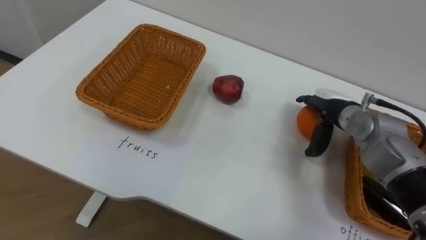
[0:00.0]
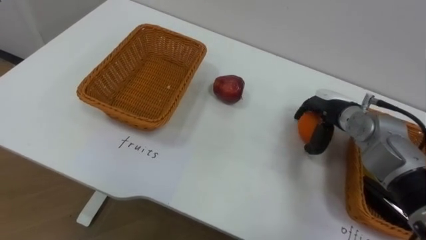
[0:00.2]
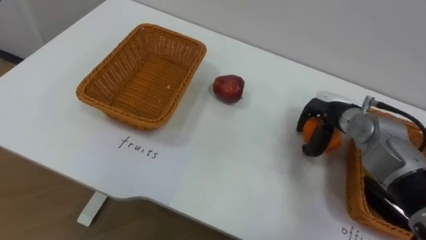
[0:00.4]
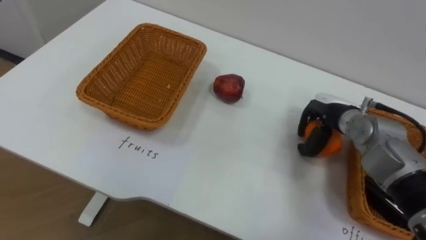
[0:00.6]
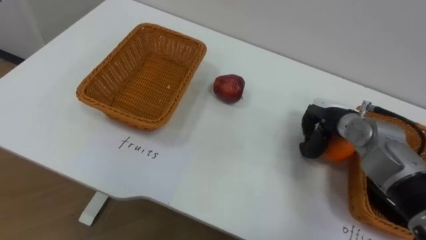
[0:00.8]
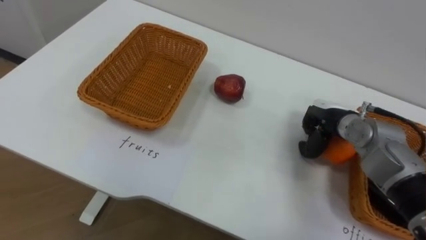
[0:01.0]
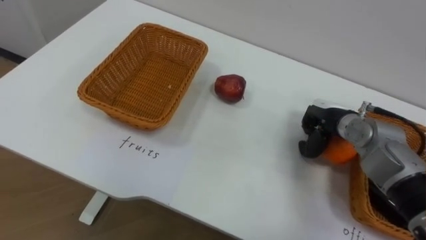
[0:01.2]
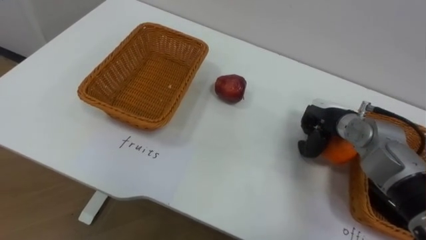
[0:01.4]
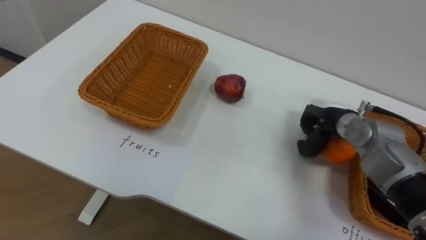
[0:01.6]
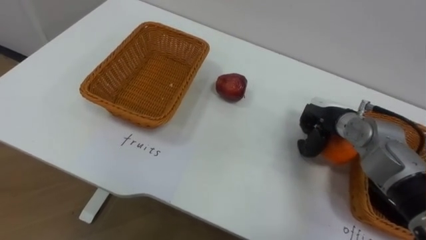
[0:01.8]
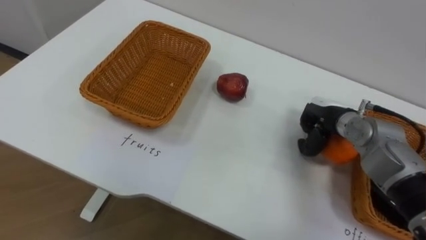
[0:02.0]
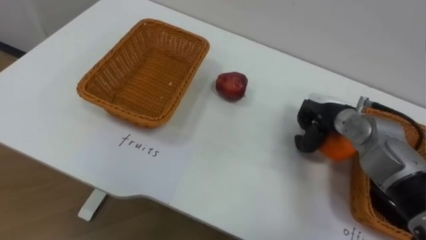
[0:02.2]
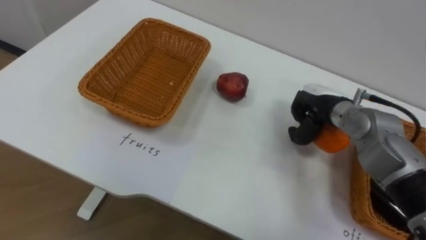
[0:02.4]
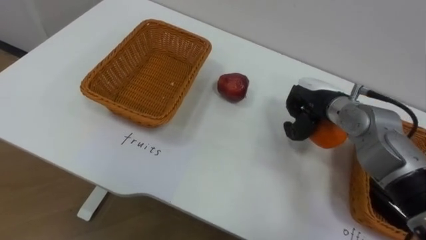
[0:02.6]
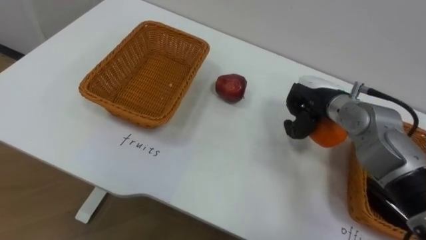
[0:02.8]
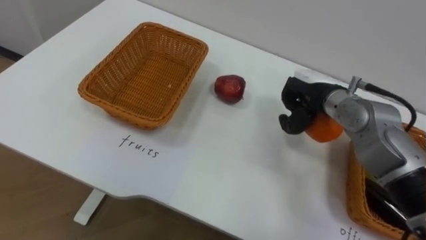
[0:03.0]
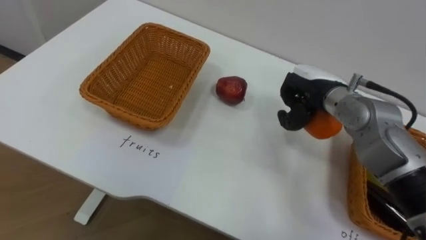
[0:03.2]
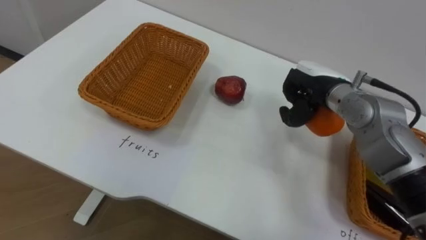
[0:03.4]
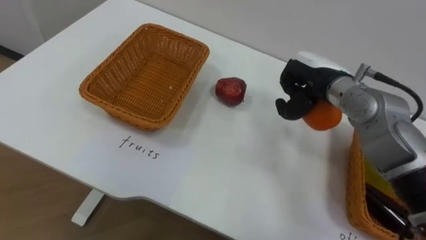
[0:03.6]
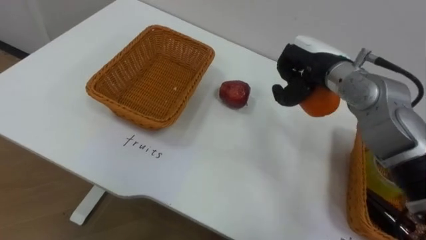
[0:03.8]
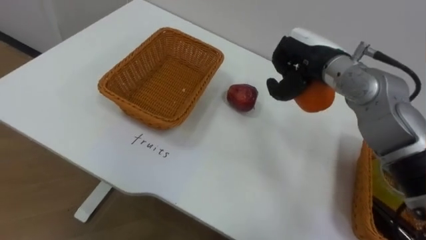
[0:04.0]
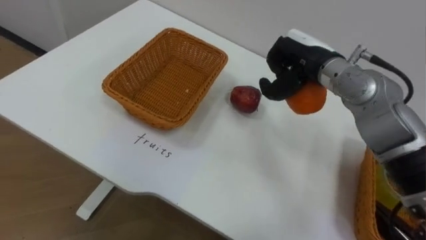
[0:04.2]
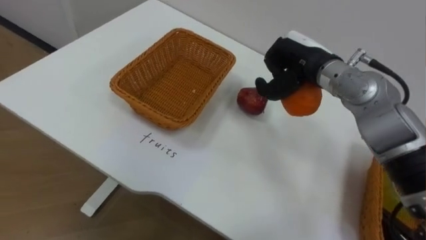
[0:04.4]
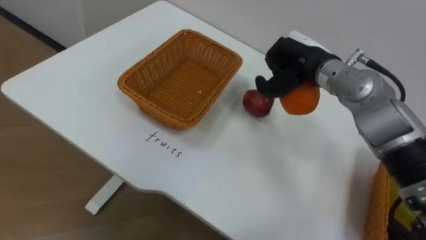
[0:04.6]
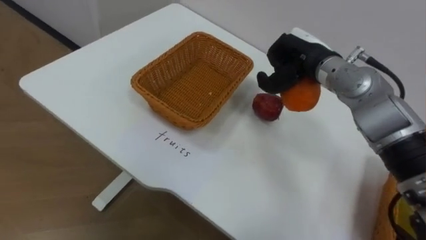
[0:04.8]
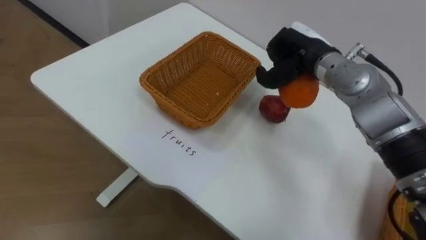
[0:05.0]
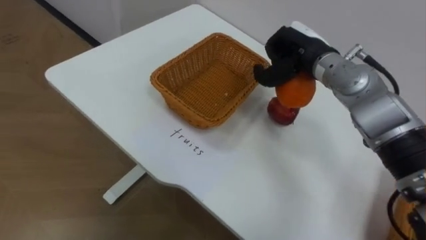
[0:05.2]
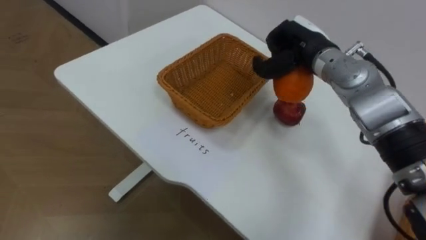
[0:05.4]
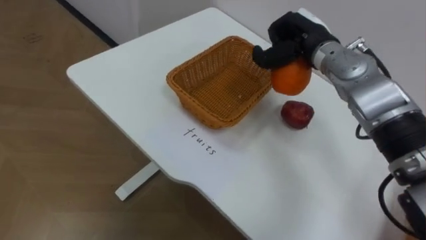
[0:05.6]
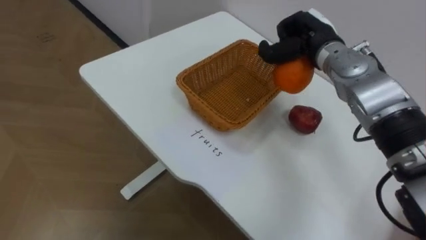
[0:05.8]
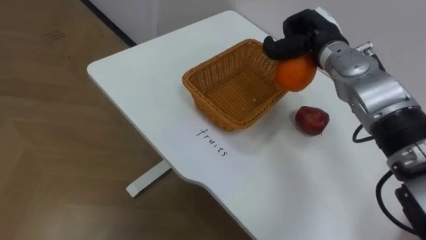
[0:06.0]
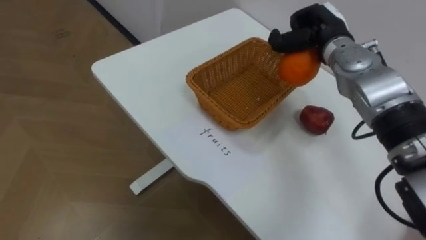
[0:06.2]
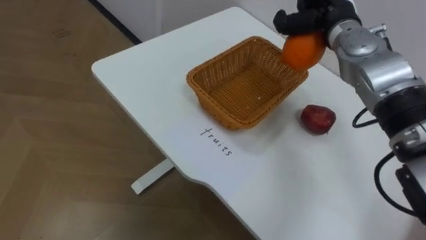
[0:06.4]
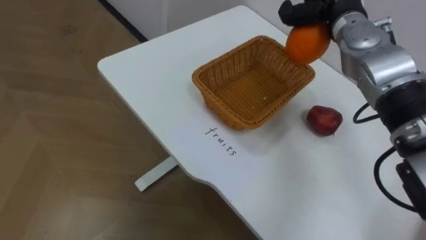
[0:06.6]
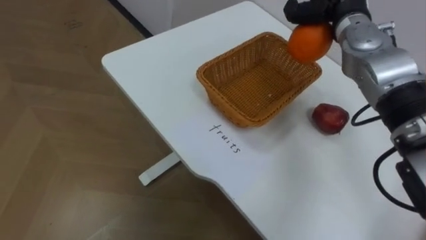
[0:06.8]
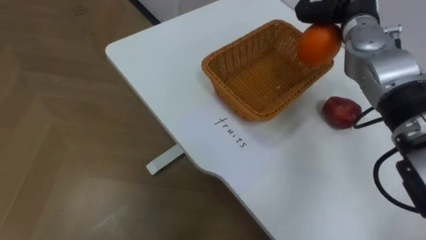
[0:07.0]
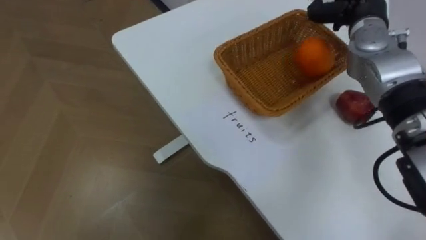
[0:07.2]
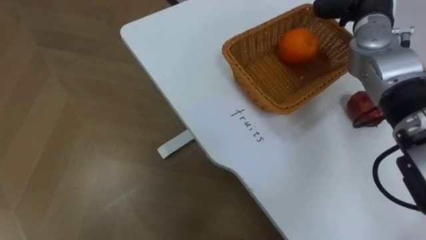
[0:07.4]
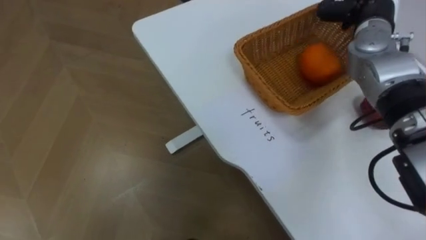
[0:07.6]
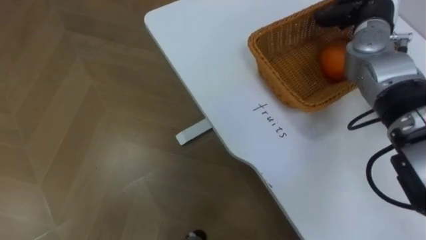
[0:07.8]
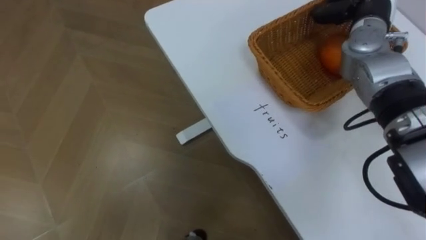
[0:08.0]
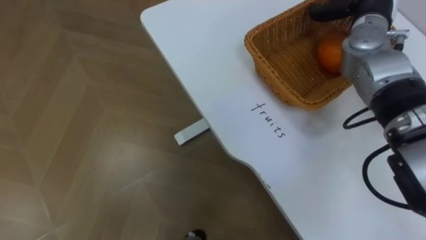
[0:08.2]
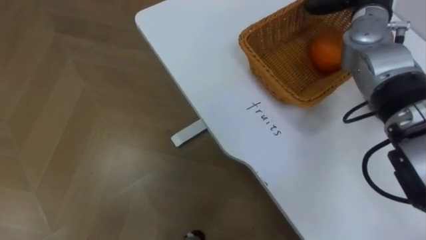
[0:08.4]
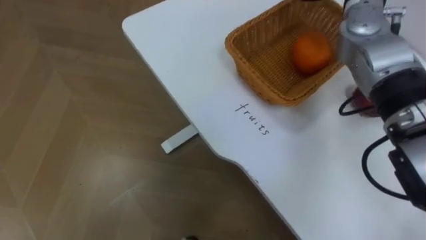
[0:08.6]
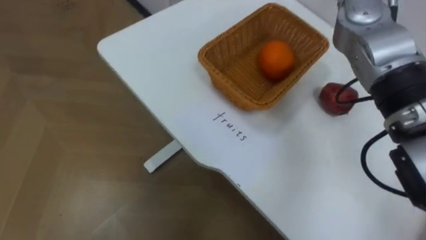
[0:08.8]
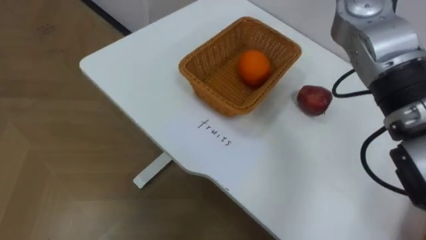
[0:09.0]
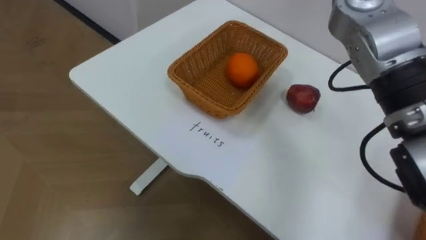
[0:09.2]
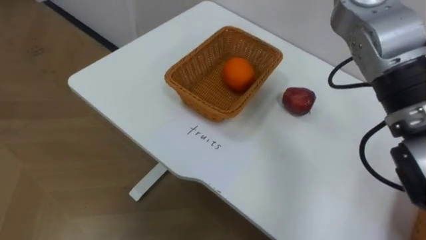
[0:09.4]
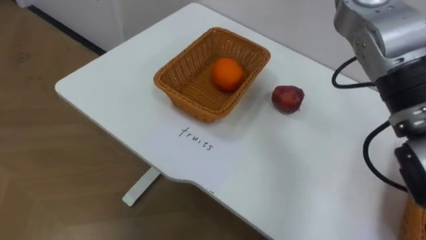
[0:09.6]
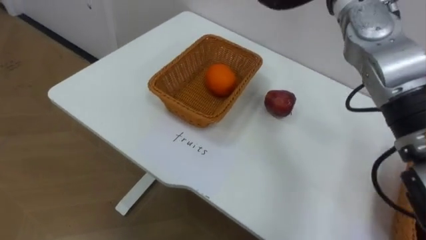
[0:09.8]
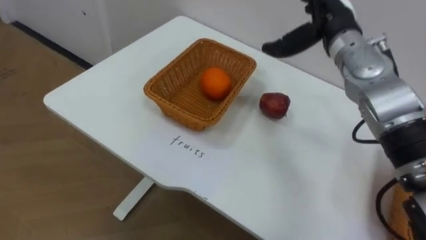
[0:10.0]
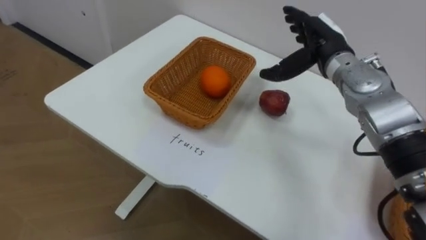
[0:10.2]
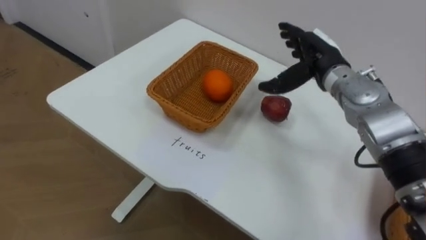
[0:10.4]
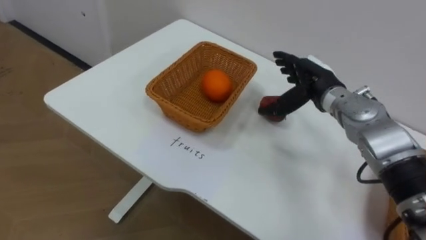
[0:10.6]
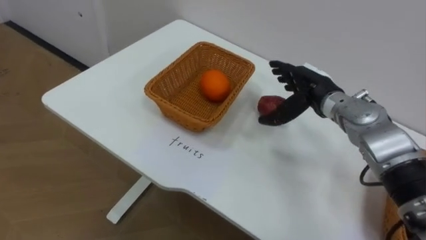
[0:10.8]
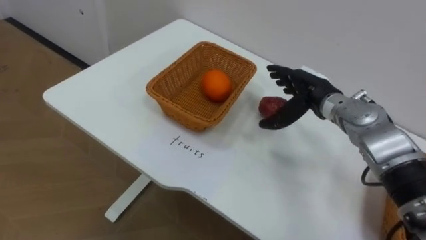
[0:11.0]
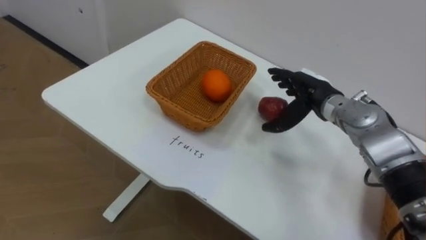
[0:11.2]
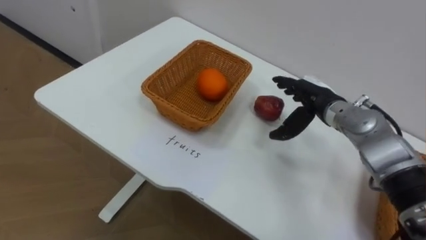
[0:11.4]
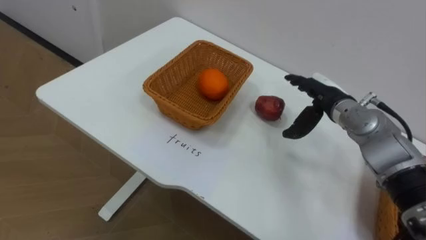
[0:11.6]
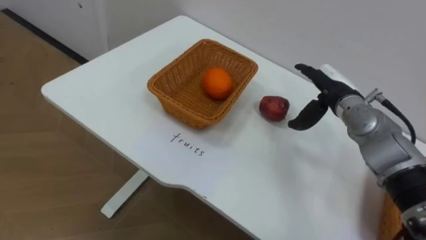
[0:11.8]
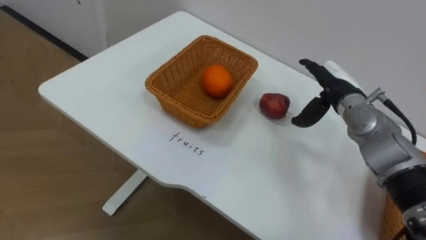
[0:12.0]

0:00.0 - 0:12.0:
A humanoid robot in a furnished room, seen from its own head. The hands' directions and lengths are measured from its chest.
Task of the whole recording: Separate the items on the table and place them into the two baskets.
0:00.0 - 0:01.6: The right hand closes its fingers.
0:01.6 - 0:03.0: The right hand is displaced upward by some 5 cm.
0:03.0 - 0:04.4: The right hand heads upward, covering some 5 cm.
0:04.4 - 0:06.0: The right hand moves some 5 cm.
0:10.4 - 0:12.0: The right hand heads downward, covering some 5 cm.

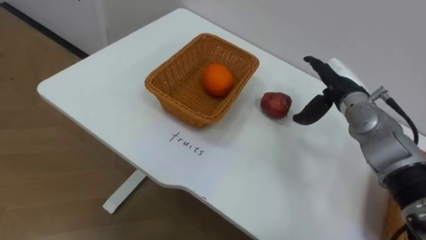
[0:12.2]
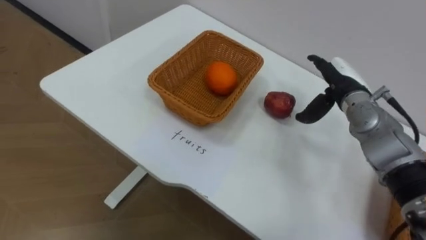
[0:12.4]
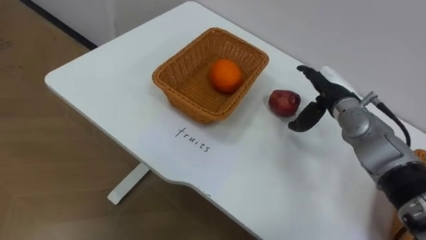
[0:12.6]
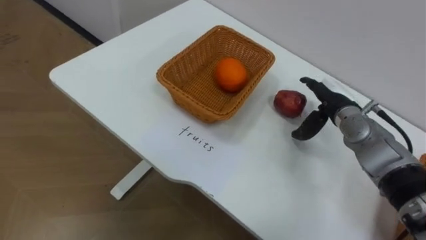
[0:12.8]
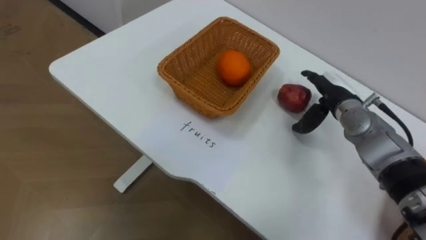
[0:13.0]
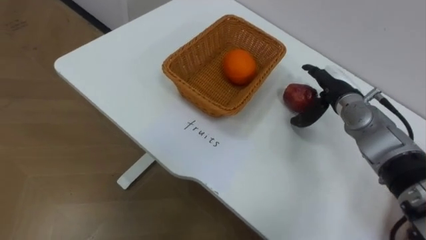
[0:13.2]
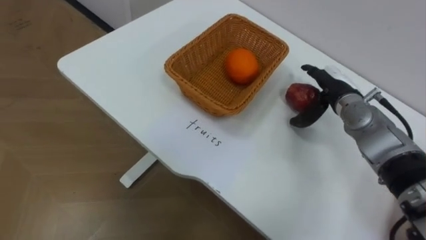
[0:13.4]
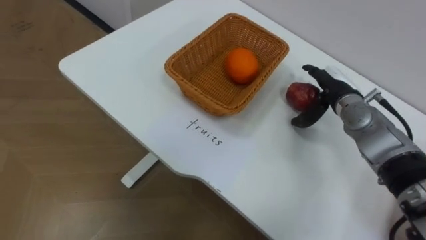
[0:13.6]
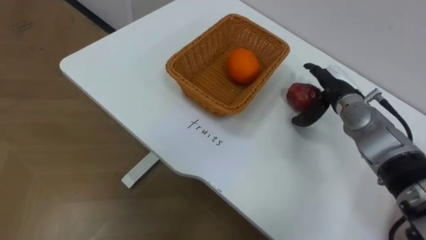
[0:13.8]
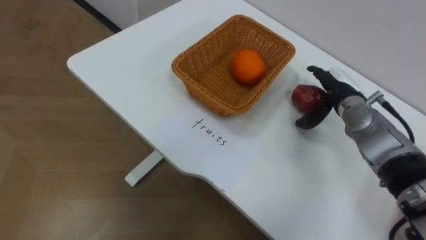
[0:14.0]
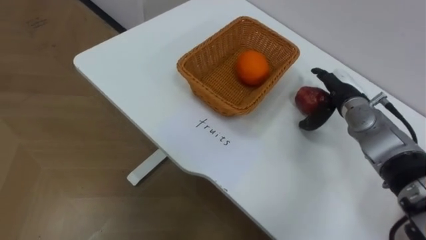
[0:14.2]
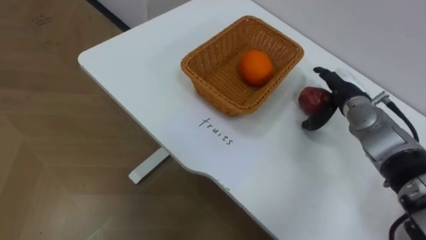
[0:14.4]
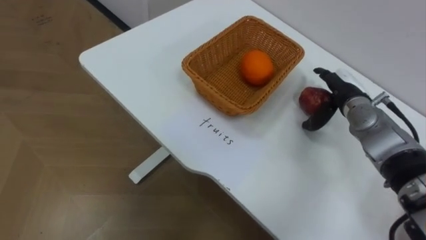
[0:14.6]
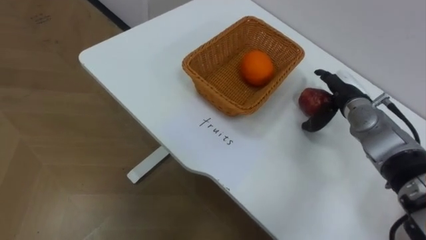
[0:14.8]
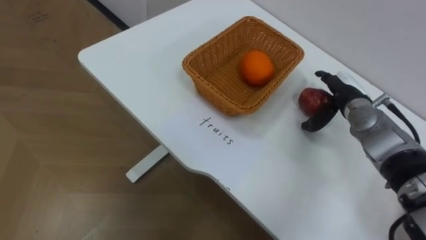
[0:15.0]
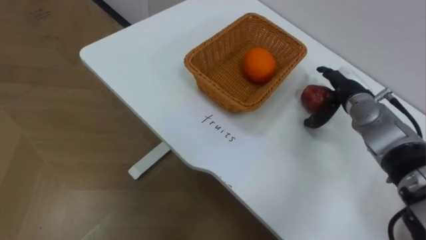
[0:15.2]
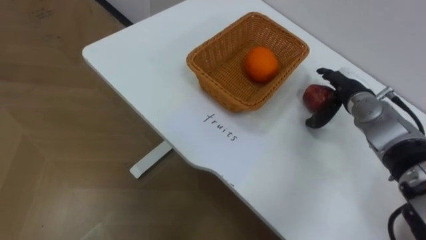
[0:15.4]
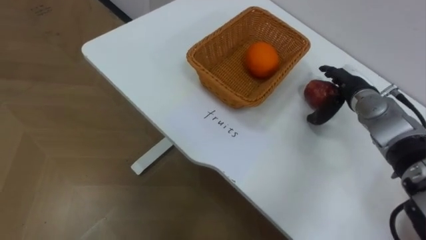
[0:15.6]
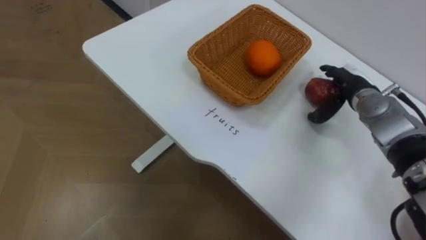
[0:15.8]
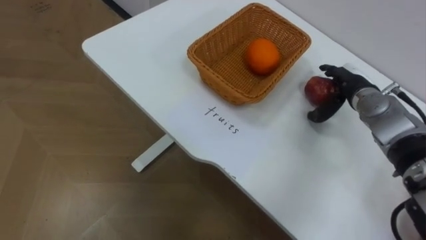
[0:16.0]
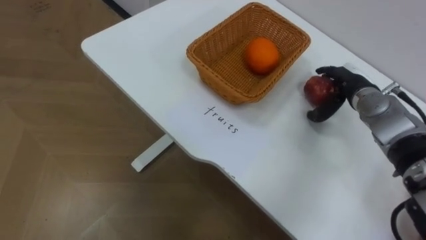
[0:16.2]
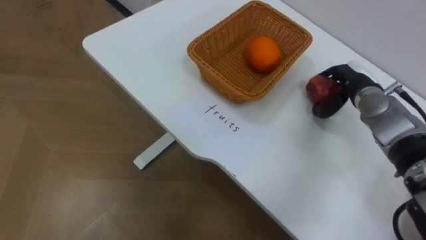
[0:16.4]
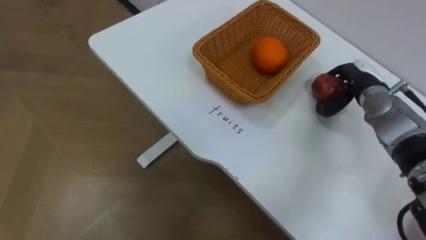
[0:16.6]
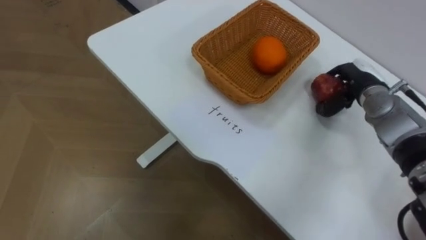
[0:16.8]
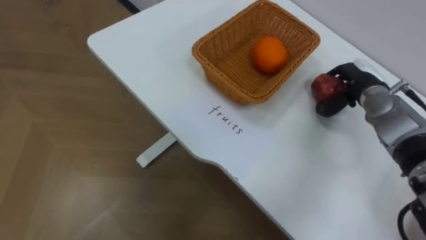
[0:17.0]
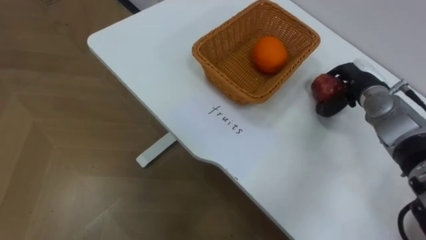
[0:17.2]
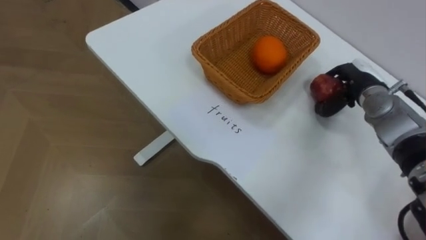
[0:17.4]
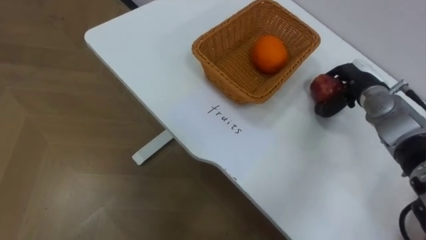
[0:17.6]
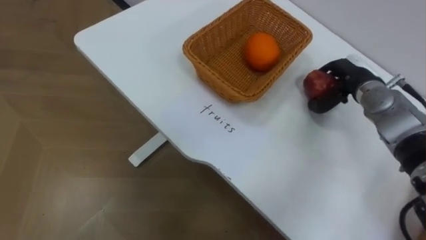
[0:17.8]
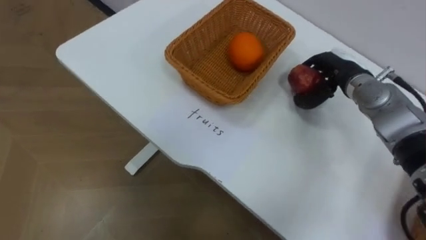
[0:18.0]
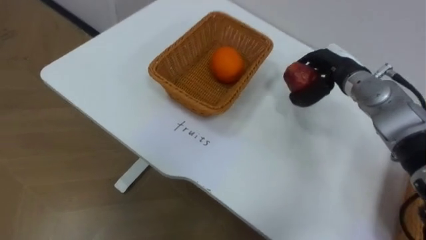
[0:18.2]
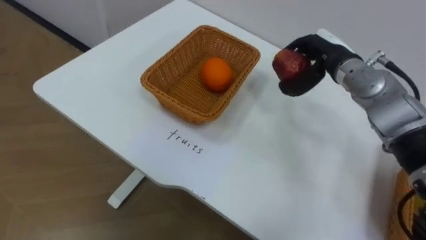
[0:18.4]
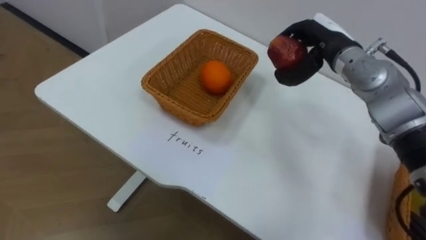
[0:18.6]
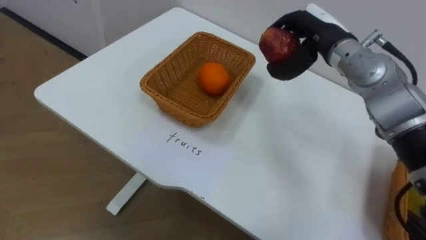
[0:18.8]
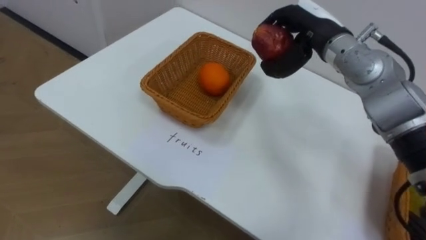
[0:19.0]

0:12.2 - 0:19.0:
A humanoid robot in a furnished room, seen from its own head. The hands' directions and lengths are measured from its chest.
Task of the whole recording: Separate the items on the table and place them into the two baskets.
0:16.2 - 0:17.6: The right hand closes.
0:17.6 - 0:19.0: The right hand shifts roughly 15 cm upward and to the left.
